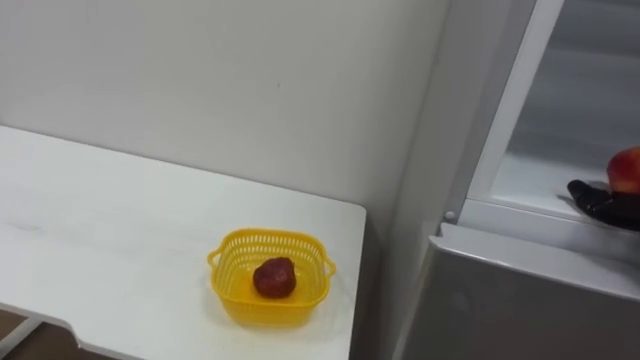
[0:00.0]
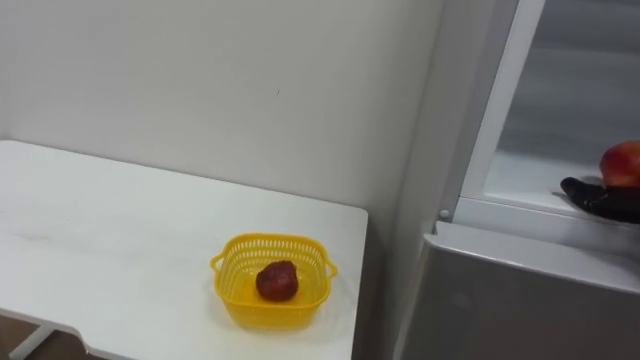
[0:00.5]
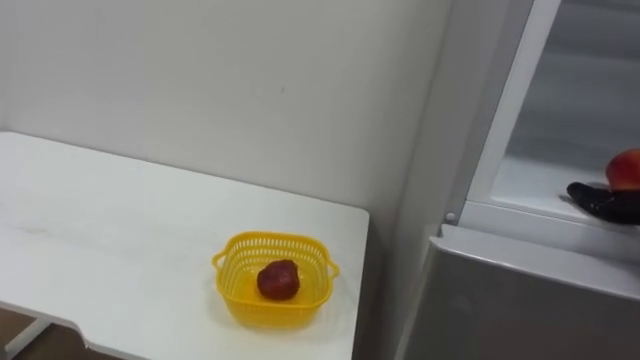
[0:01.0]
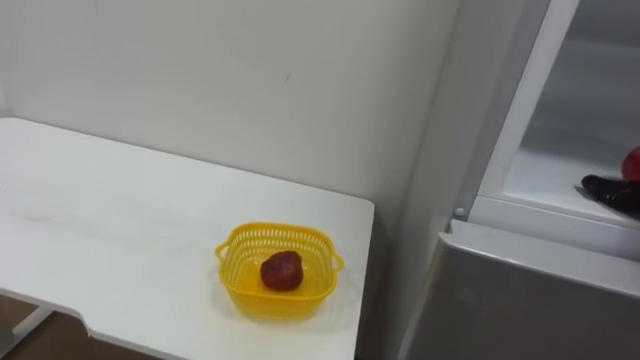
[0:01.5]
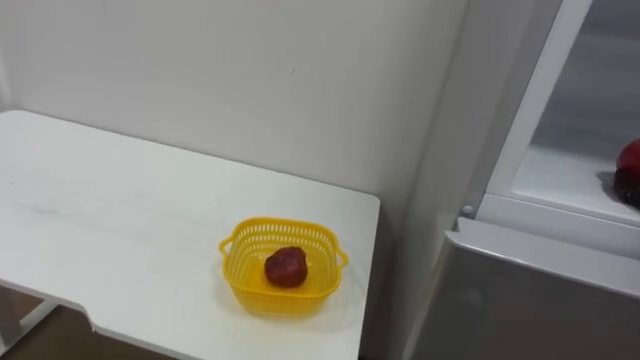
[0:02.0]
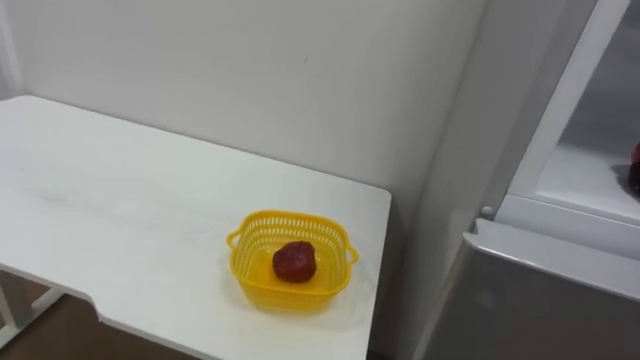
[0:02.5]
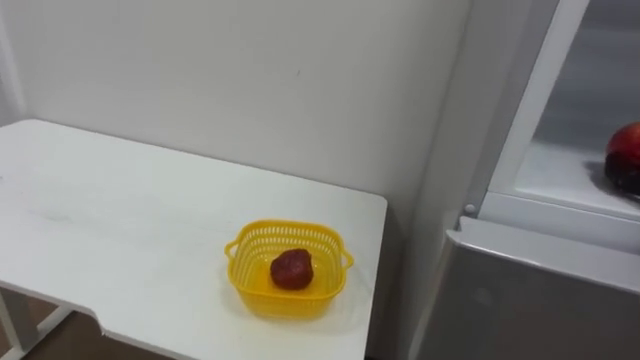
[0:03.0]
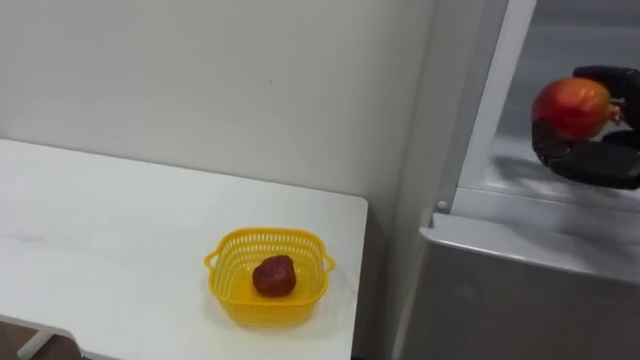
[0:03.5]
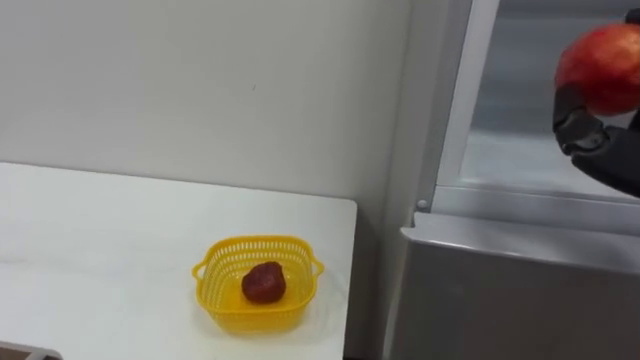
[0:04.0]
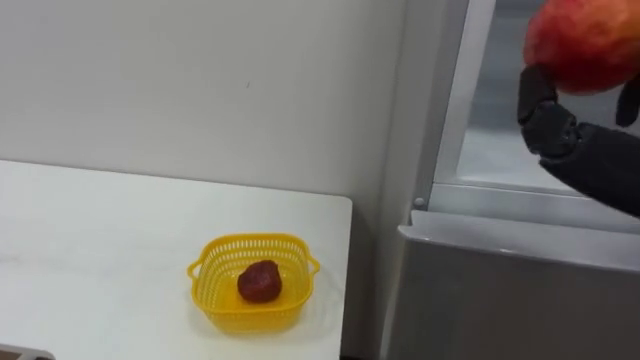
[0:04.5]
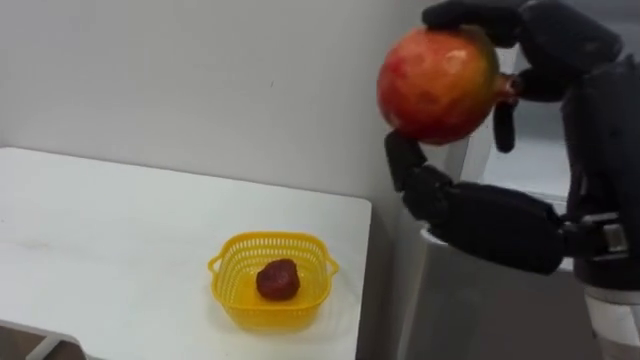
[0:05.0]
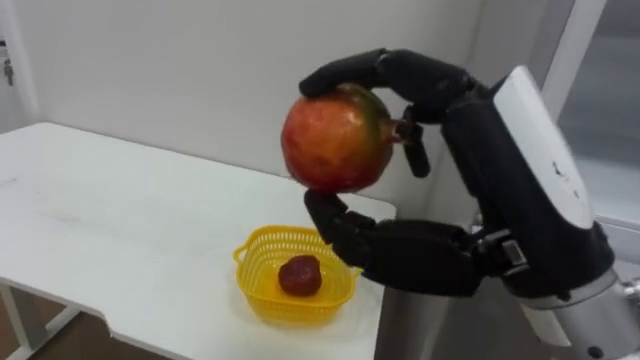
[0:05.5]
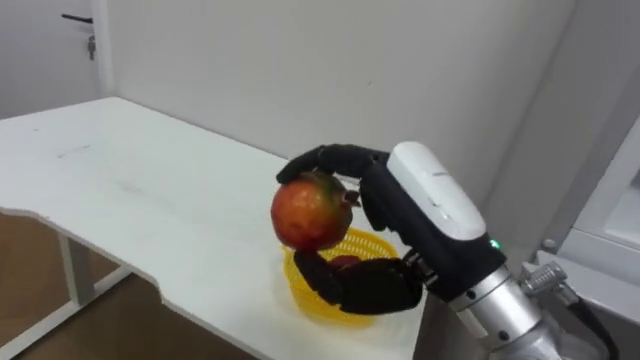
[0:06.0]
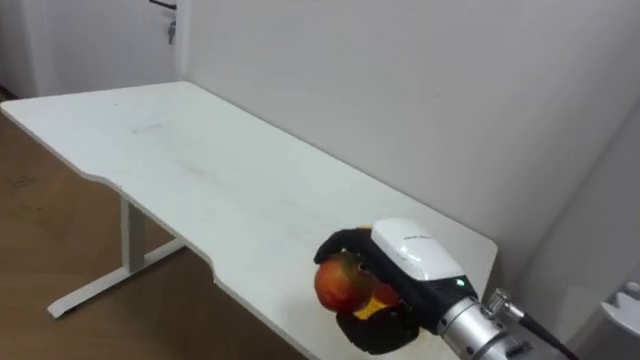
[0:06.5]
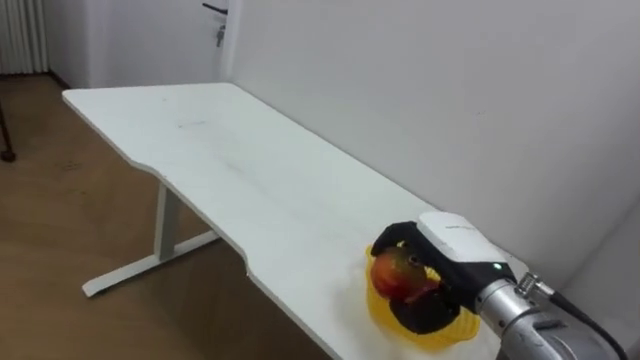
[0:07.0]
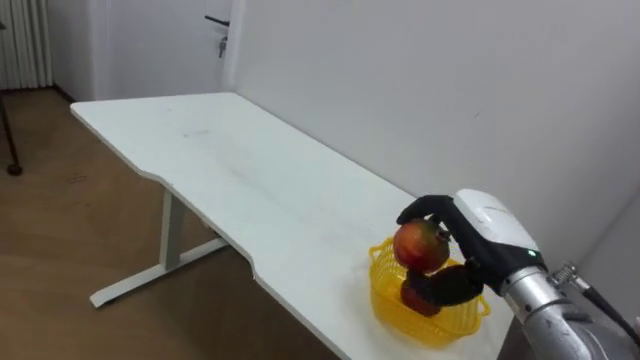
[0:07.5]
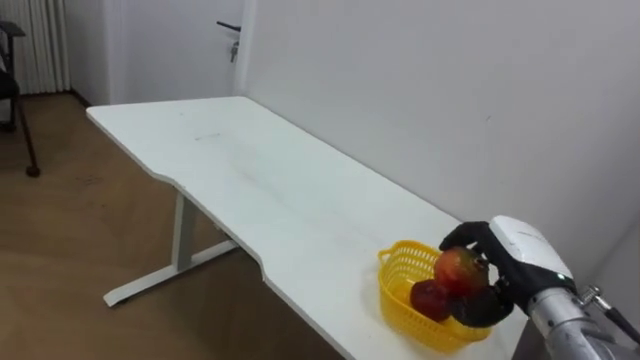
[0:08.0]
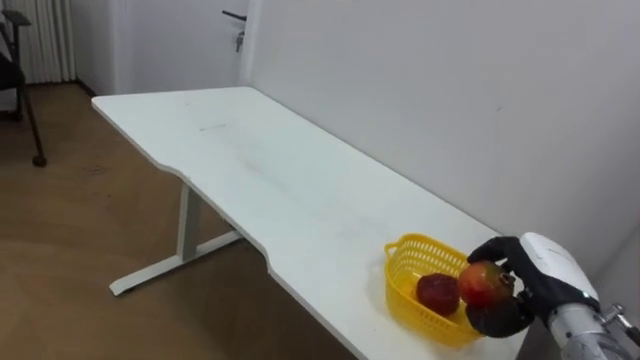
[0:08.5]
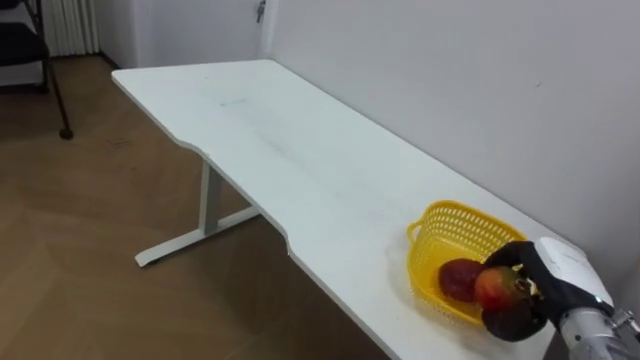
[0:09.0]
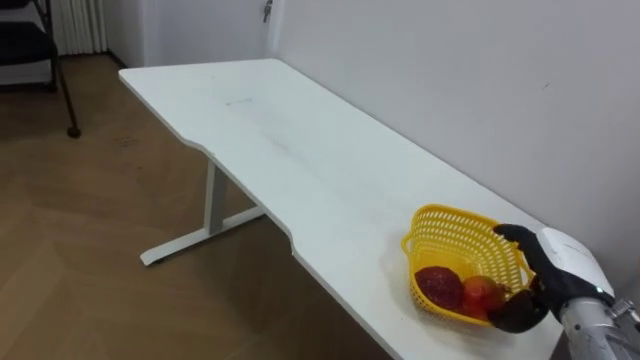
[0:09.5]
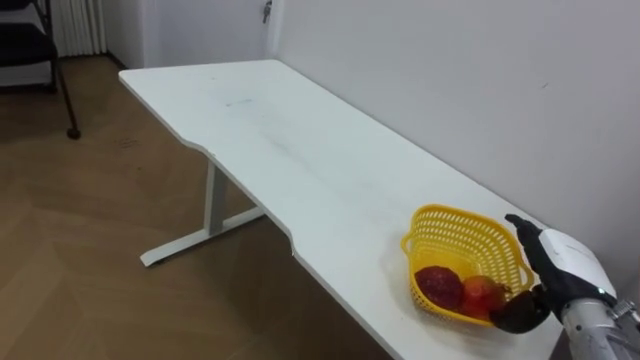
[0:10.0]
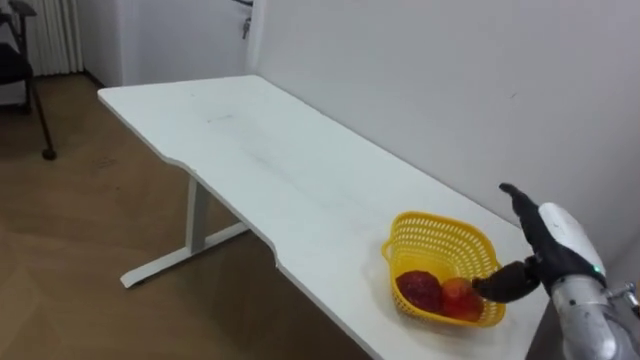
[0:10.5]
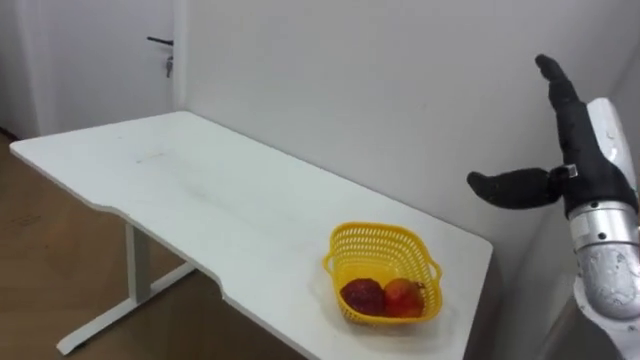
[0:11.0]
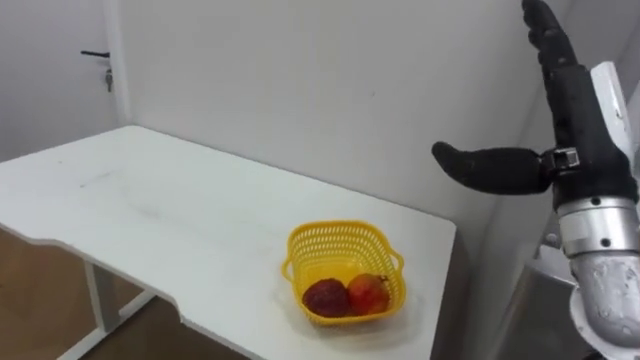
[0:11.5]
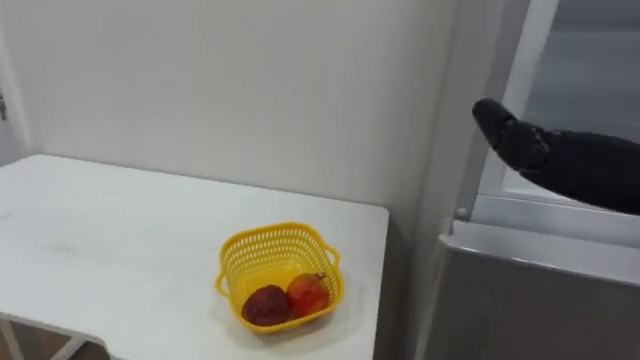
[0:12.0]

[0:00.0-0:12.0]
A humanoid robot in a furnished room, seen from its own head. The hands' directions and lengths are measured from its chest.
Task of the whole recording: Open the refrigerator door, take out the apple and the pomegranate, place them in the fruit basket on the left, and close the refrigerator door.
0:06.0 to 0:08.0: The right hand goes approximately 25 cm downward, to the right and forward.
0:08.0 to 0:10.0: The right hand shifts approximately 5 cm to the right, and opens its fingers.

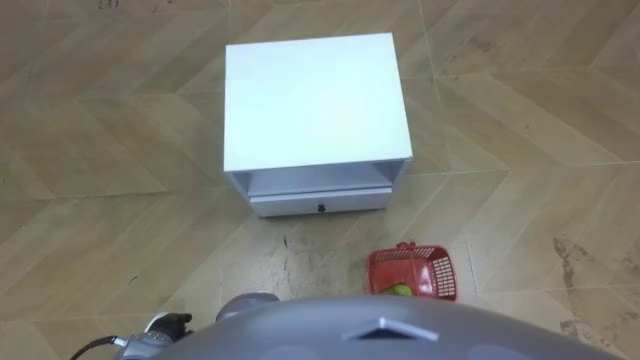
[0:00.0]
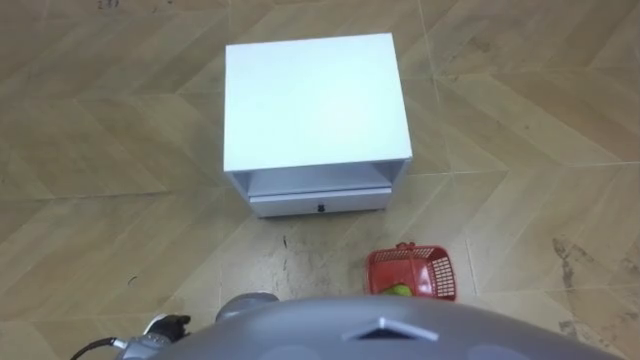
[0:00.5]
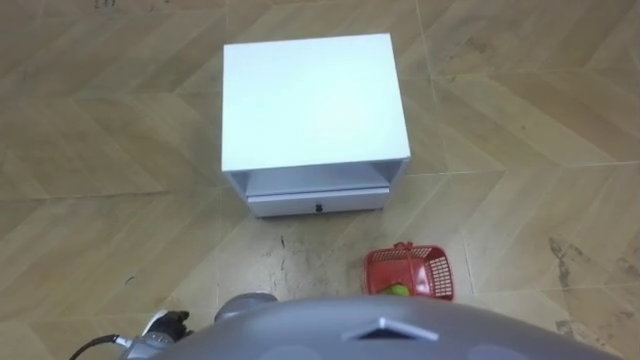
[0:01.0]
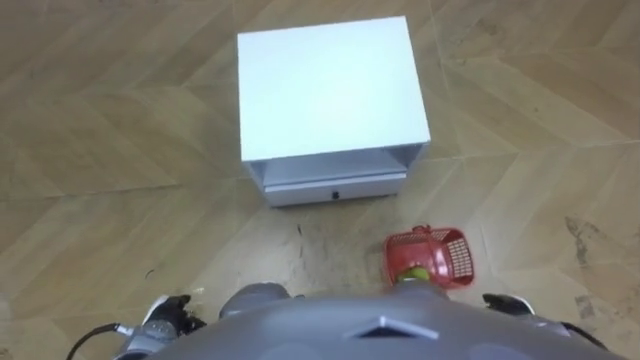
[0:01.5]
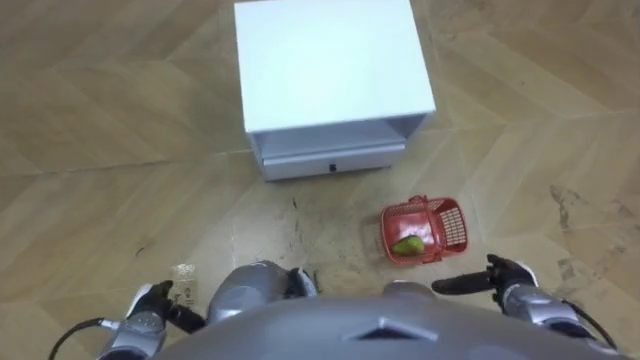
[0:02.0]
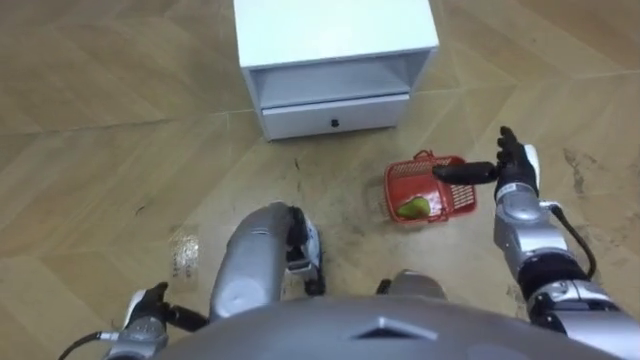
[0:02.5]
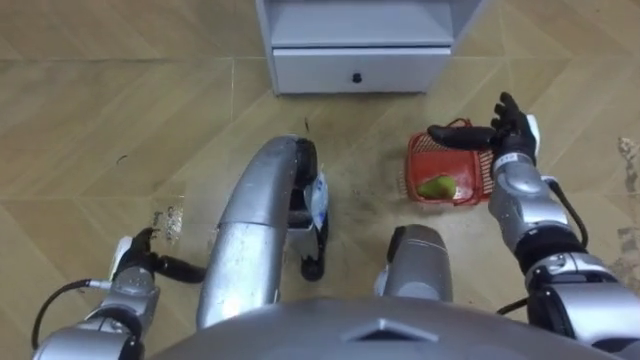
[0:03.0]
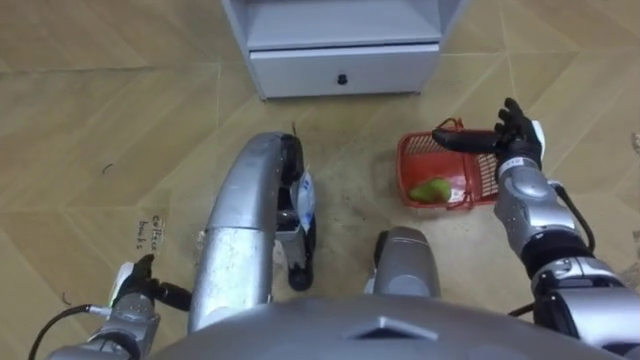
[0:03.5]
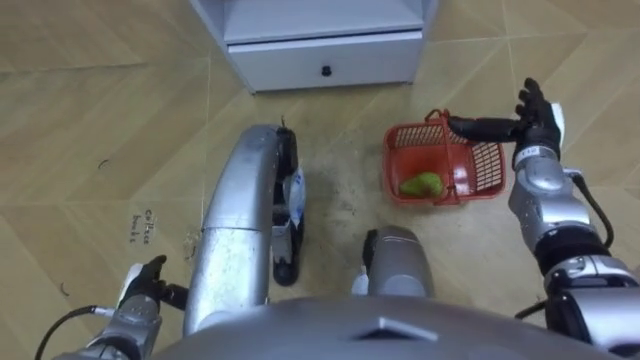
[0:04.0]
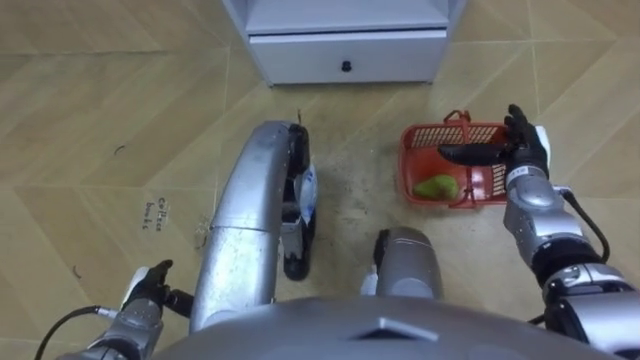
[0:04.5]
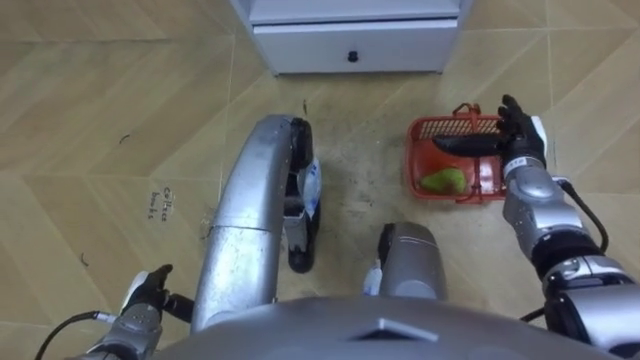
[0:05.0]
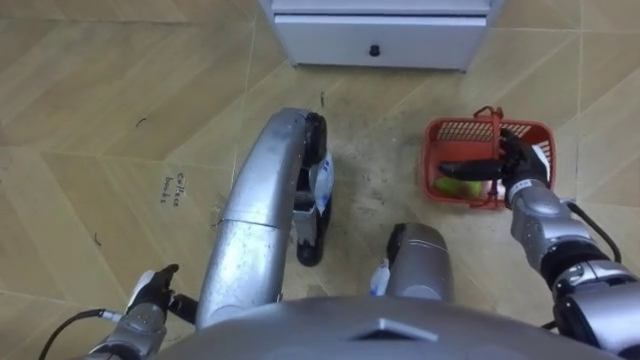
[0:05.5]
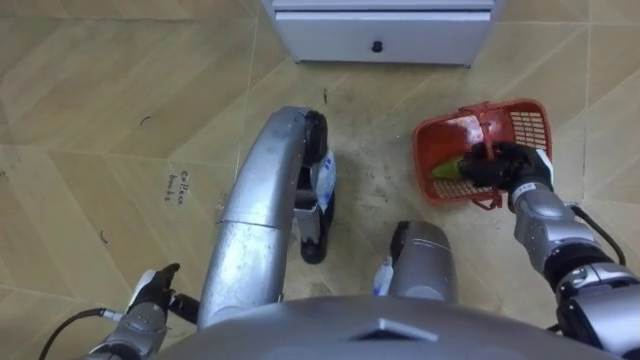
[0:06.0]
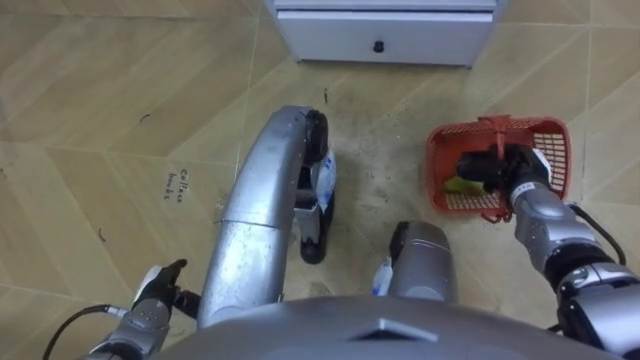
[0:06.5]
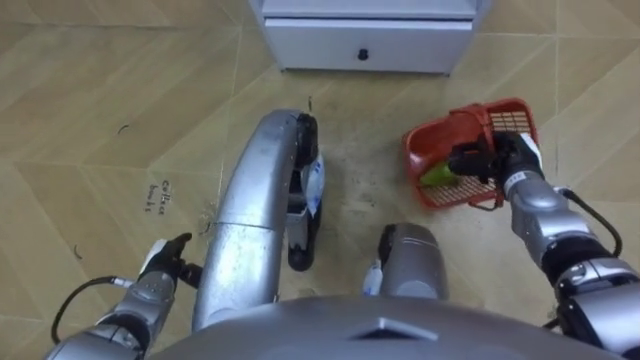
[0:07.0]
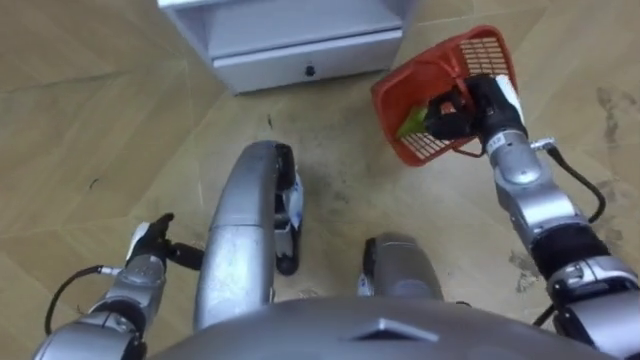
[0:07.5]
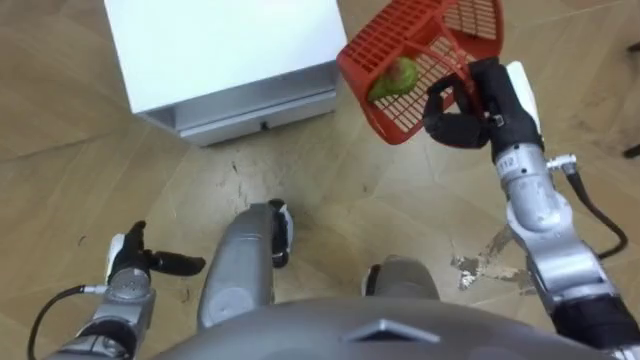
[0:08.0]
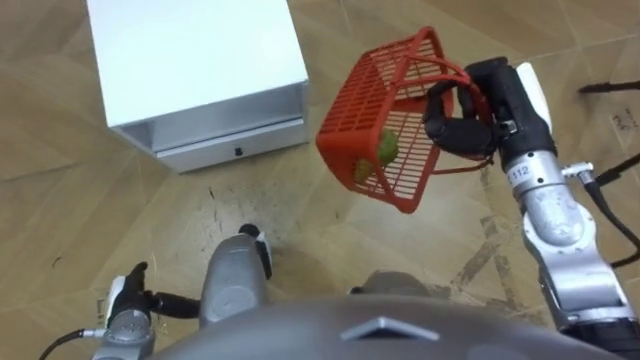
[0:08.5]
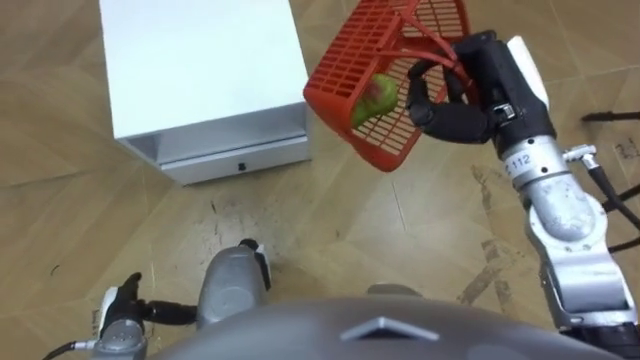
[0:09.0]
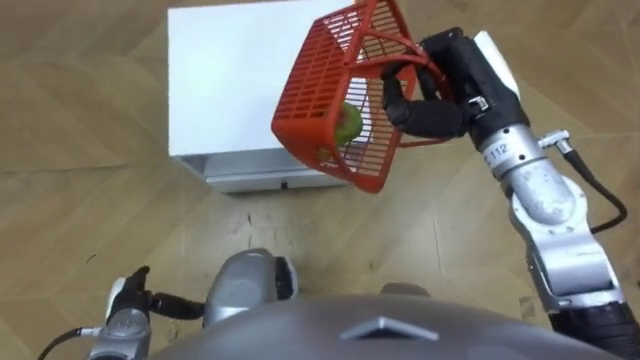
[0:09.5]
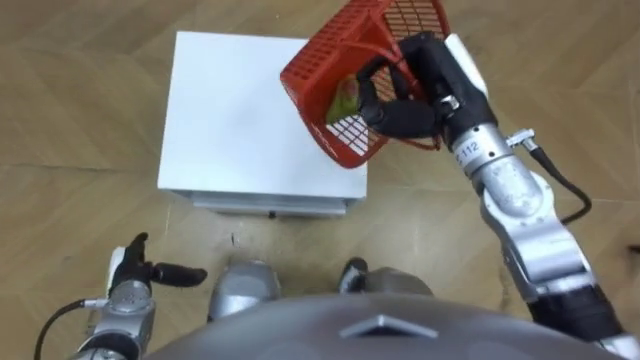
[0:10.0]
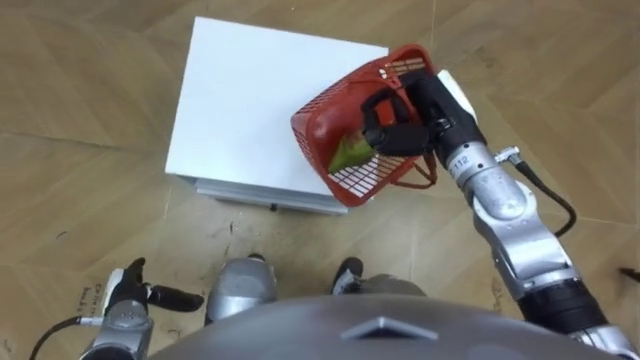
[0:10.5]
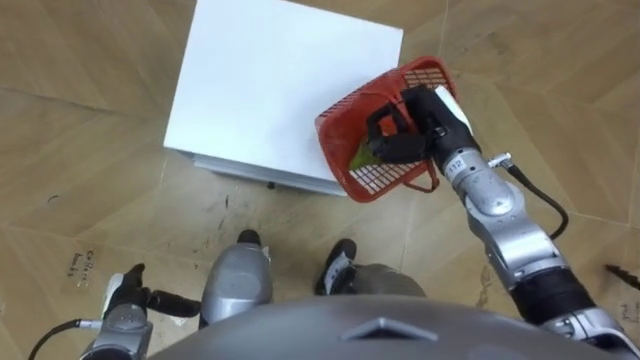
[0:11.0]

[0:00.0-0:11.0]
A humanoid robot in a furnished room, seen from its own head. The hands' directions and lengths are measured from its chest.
Task of the whole recording: Pick up the fruit basket from the floor and place it on the cabinet.
0:02.0 to 0:03.5: The right hand shifts approximately 20 cm forward and upward.
0:05.5 to 0:07.5: The right hand moves upward, forward and to the left, some 10 cm, and closes its fingers. The left hand goes approximately 10 cm forward.
0:07.5 to 0:09.0: The left hand travels backward by some 10 cm; the right hand shifts approximately 15 cm upward.
0:09.0 to 0:11.0: The right hand goes approximately 10 cm downward.
